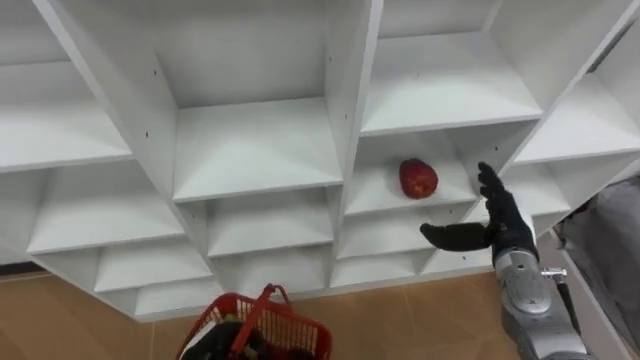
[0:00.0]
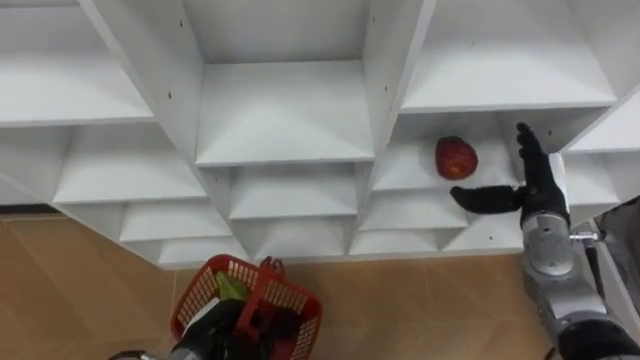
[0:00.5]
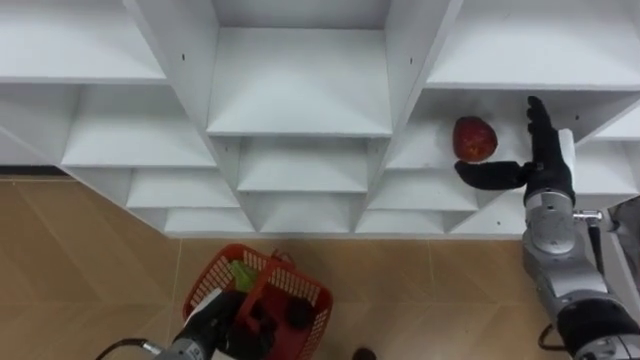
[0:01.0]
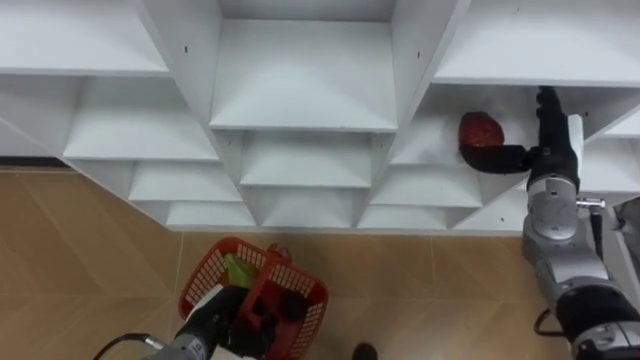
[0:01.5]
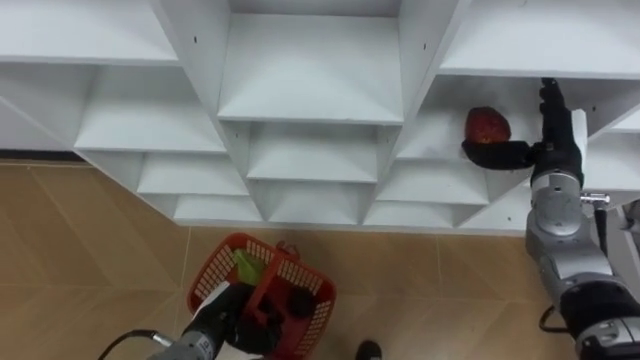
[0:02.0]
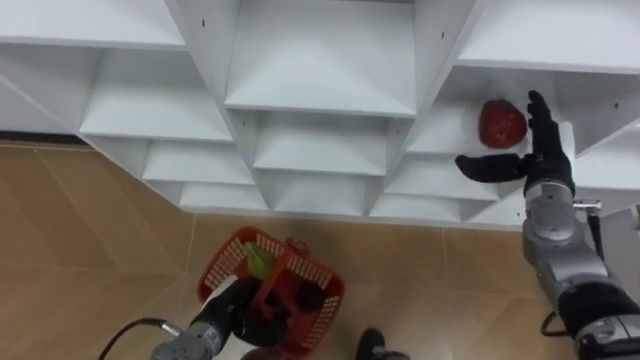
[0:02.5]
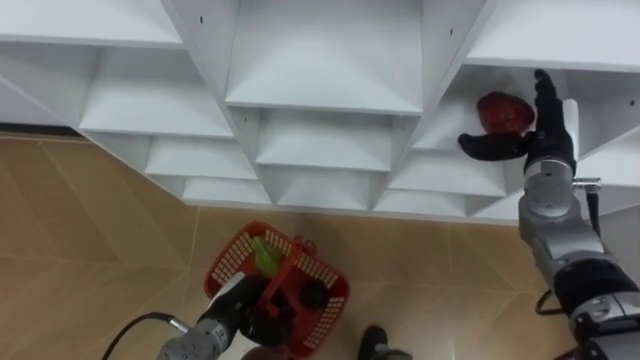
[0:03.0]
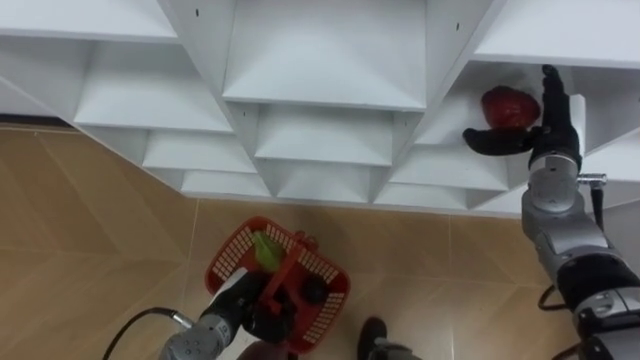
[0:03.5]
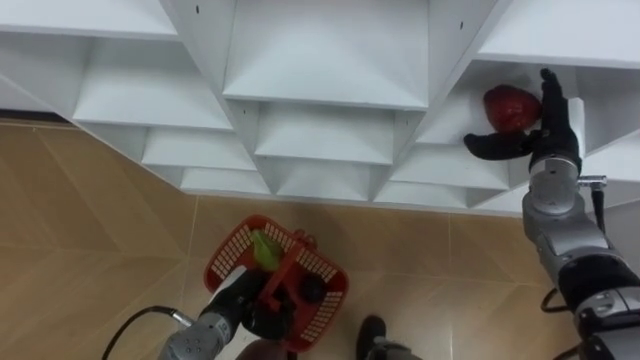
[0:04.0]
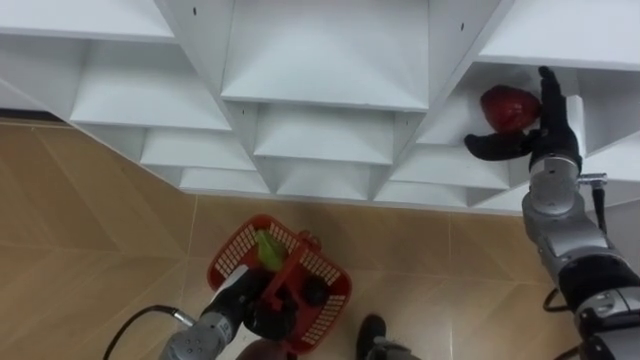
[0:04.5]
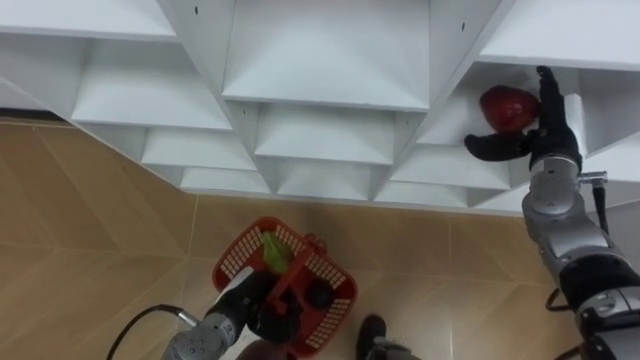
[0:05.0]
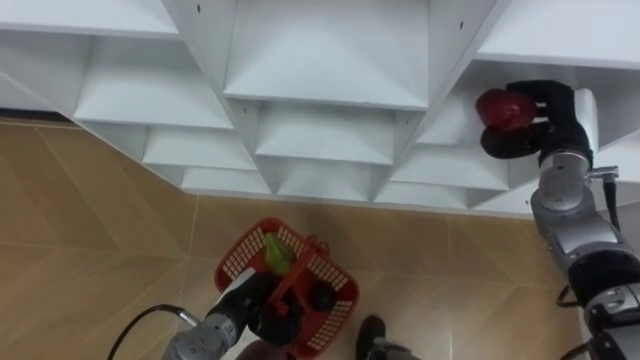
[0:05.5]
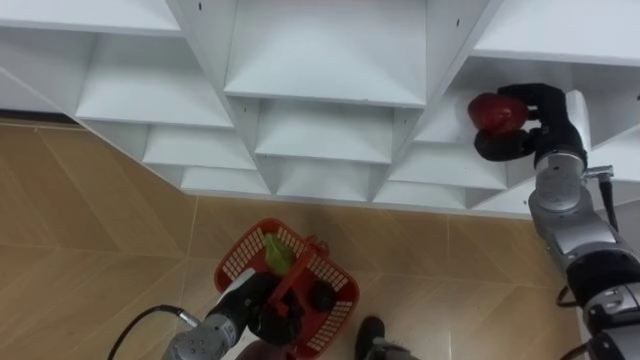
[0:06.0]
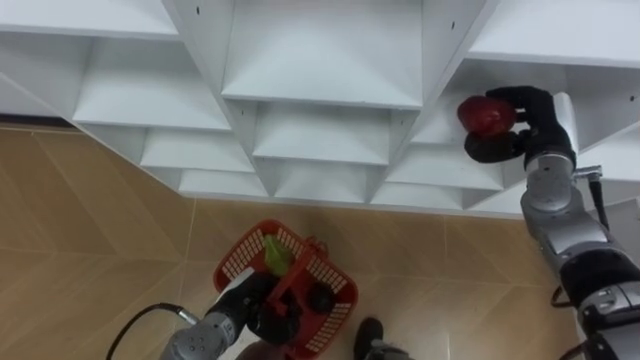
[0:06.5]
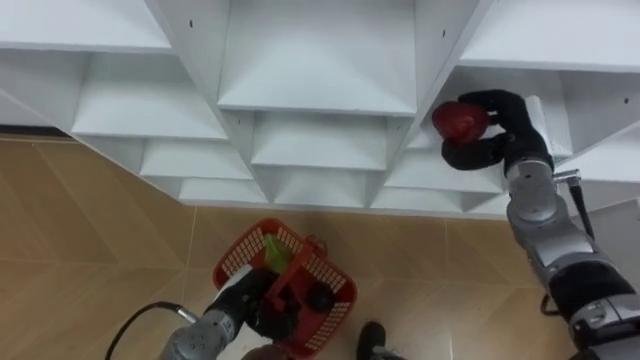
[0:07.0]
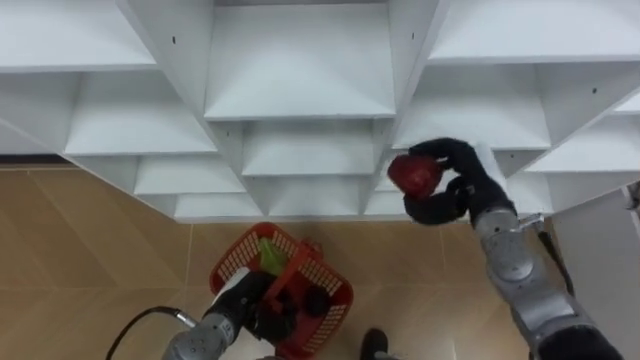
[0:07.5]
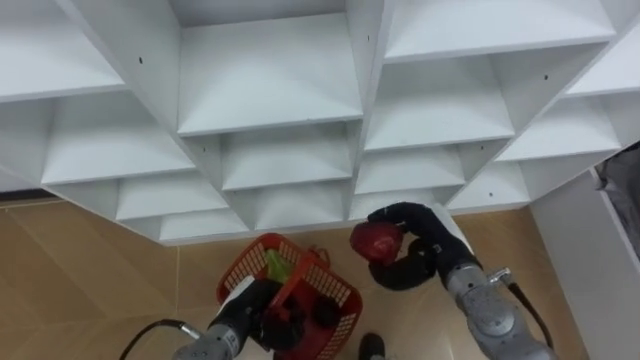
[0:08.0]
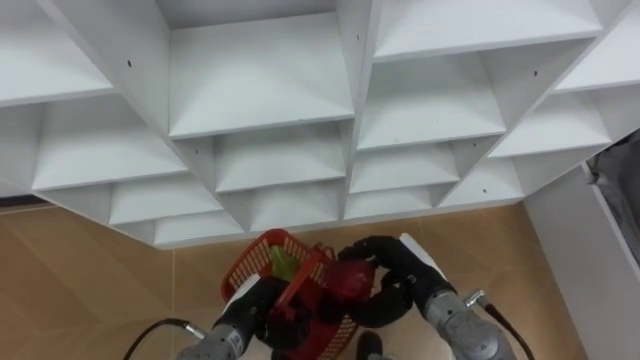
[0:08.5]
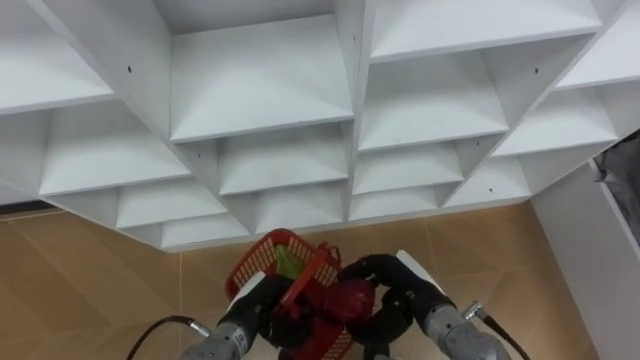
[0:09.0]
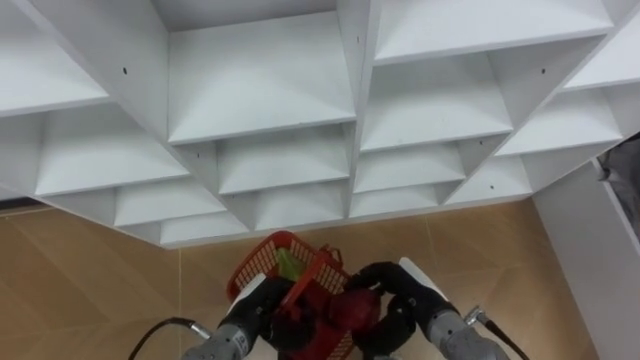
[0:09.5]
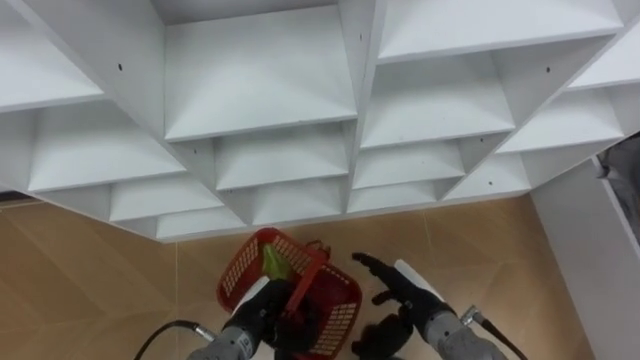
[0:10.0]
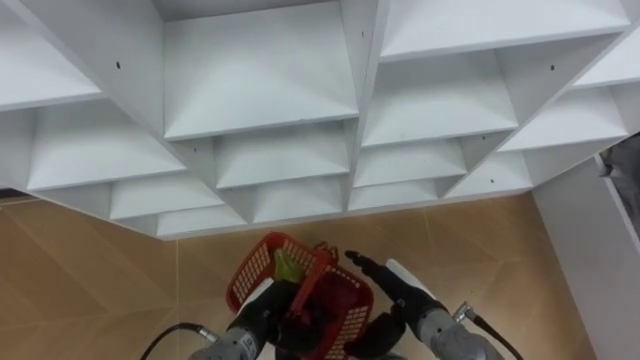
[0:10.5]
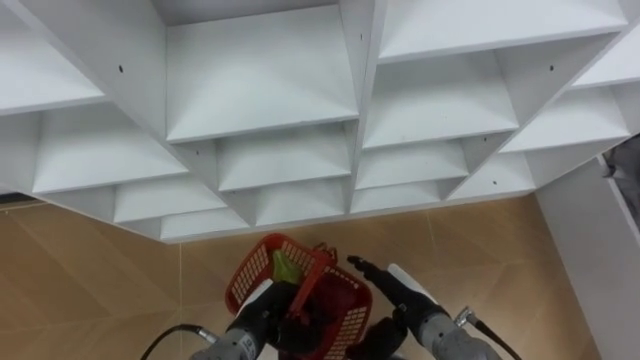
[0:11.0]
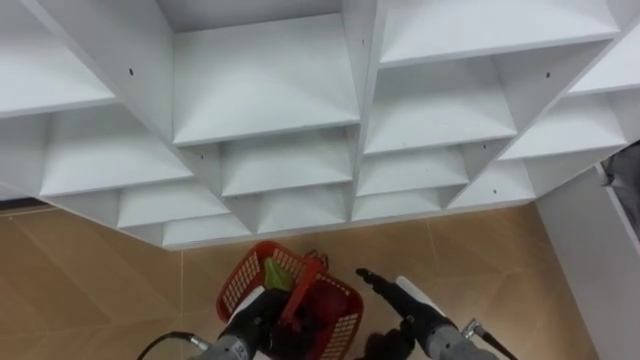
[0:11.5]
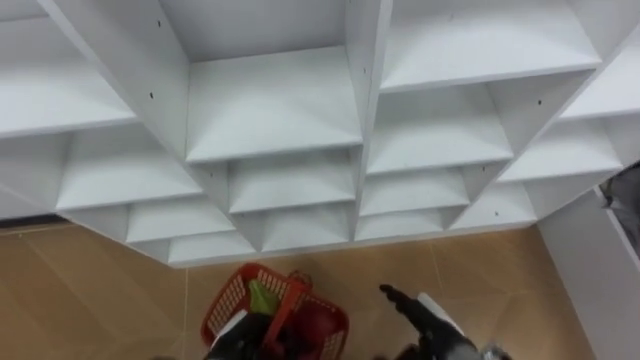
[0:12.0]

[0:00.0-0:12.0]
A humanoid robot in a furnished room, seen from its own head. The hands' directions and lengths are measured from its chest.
Task of the whole recording: Hold the basket and collect the fruits from 3 different cells of the closet into it.
0:00.0 to 0:02.0: The left hand heads forward, covering about 5 cm; the right hand is displaced upward and forward by some 10 cm.
0:04.0 to 0:06.0: The right hand closes up.
0:06.0 to 0:08.0: The right hand shifts approximately 20 cm to the left, backward and downward.
0:08.0 to 0:10.0: The right hand heads backward and downward, covering roughly 10 cm, and opens up.
0:10.0 to 0:12.0: The right hand ends up about 5 cm from where it was, while the left hand changes place by approximately 5 cm.

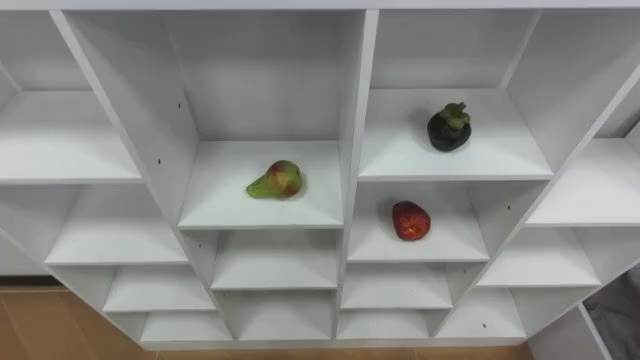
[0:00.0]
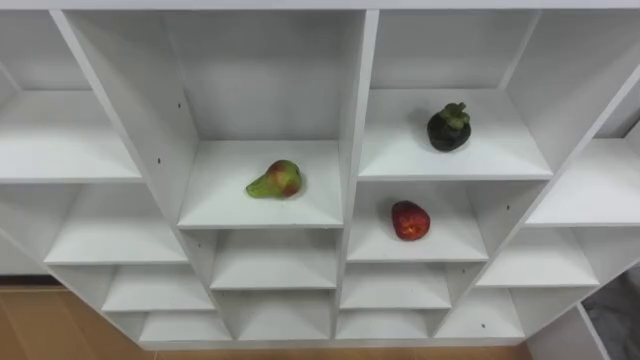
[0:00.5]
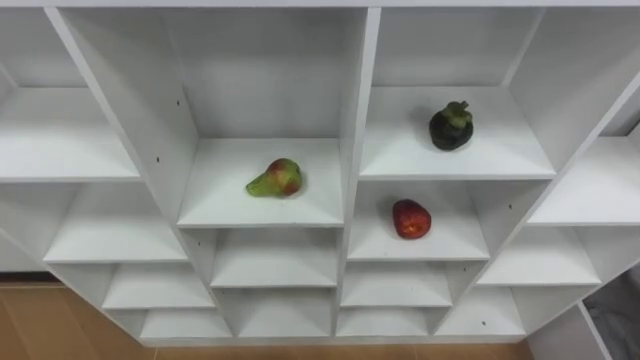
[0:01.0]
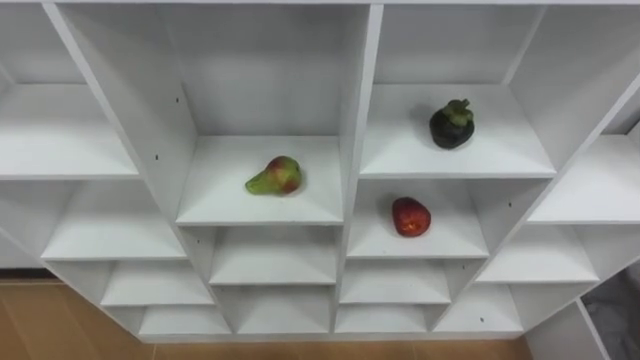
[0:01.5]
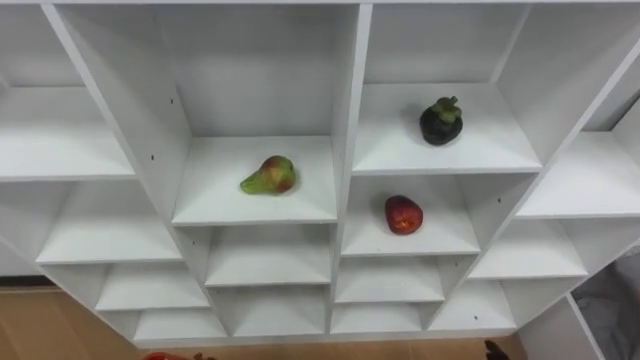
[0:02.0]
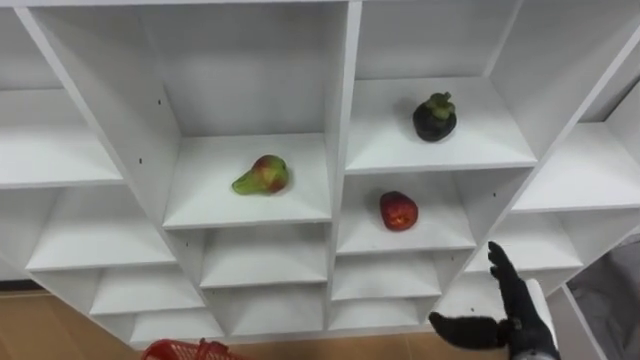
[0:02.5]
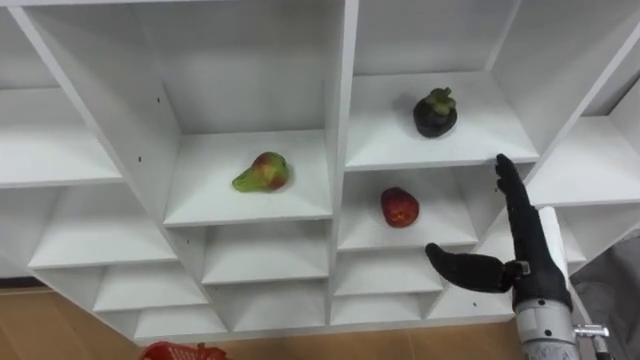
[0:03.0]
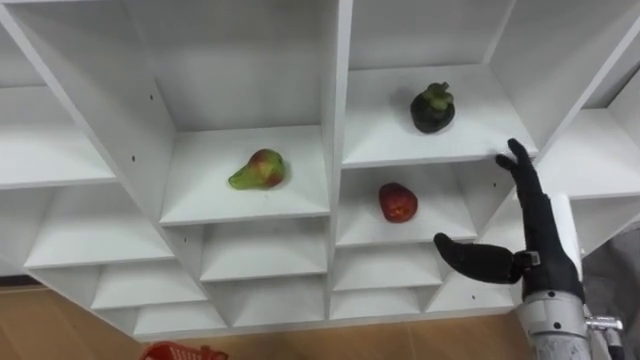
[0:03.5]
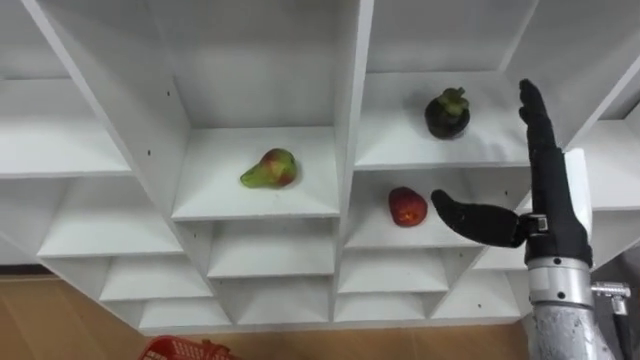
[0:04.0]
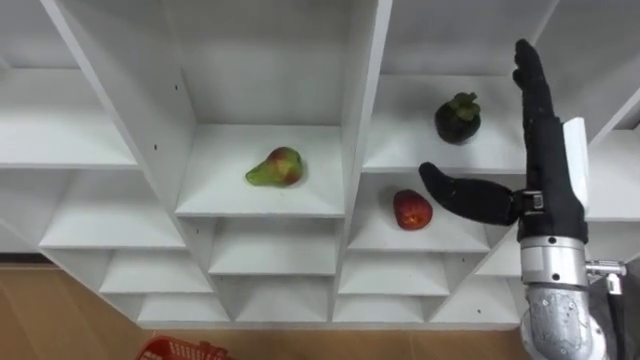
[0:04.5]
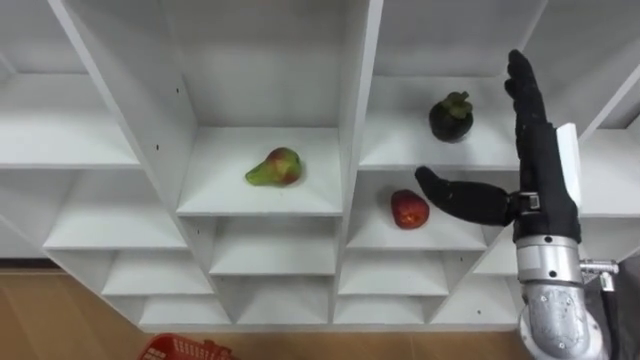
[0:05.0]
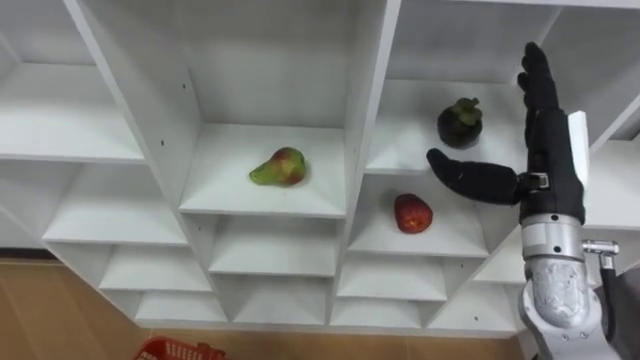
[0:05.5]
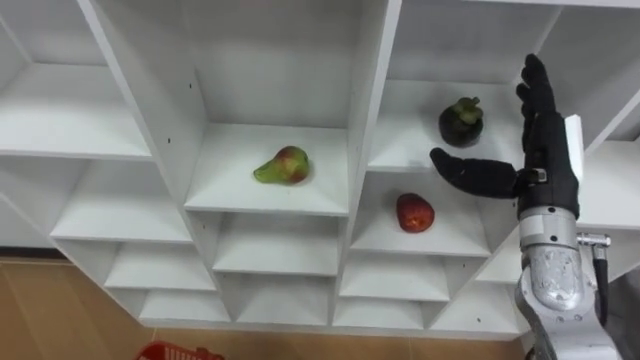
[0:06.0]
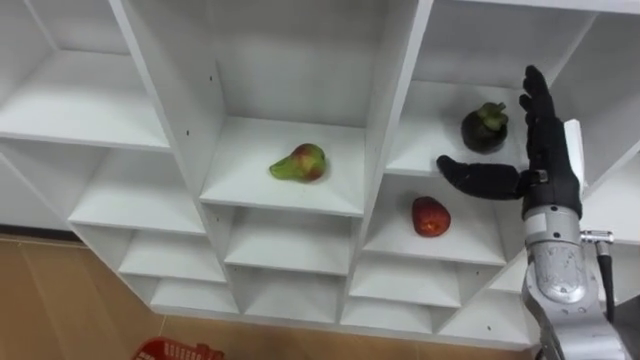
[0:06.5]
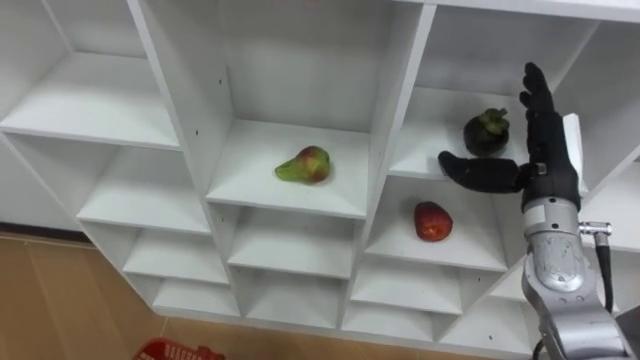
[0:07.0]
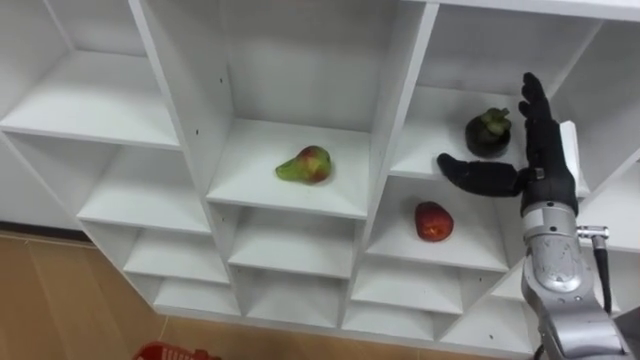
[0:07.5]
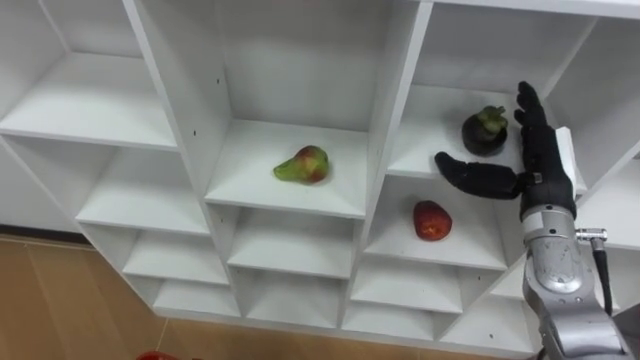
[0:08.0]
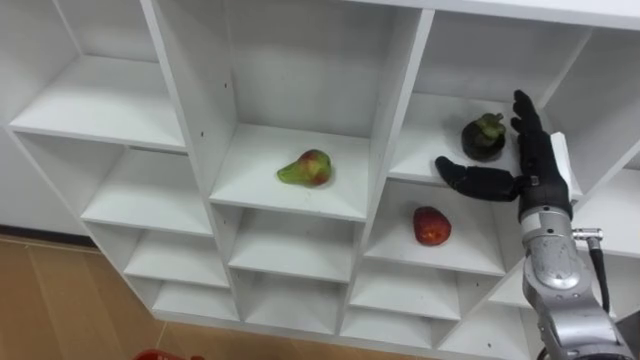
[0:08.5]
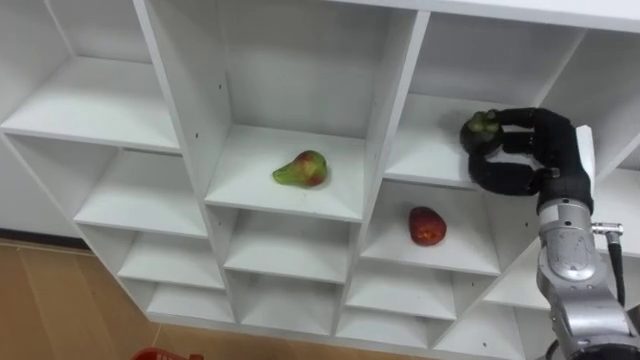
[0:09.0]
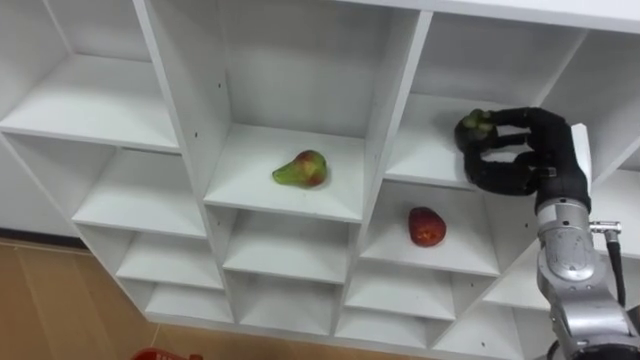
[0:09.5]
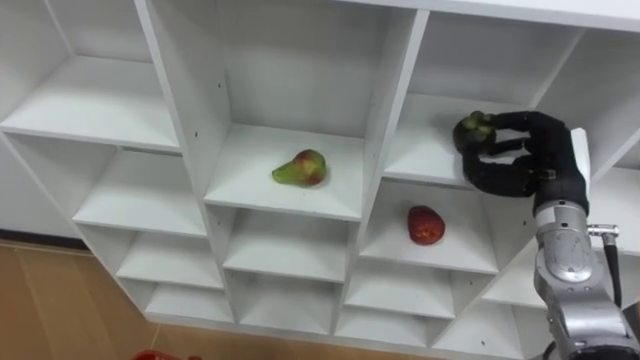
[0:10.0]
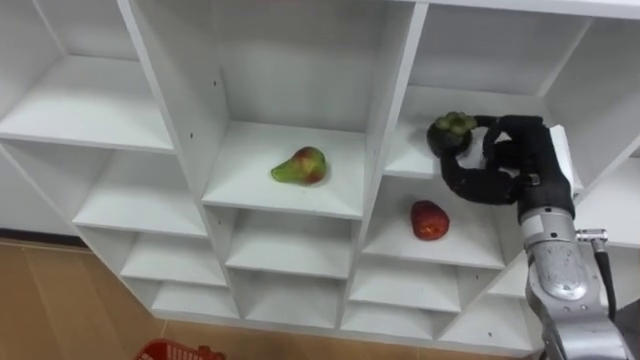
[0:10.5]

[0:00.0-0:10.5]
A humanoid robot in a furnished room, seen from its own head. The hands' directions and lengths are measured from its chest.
Task of the whole recording: Hold the basket and collect the fruits from 3 different cells of the closet into it.
0:04.0 to 0:06.5: The right hand moves forward, some 5 cm.
0:08.5 to 0:10.5: The right hand closes its fingers.
